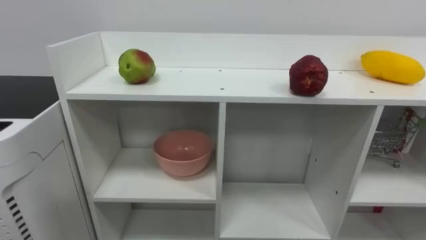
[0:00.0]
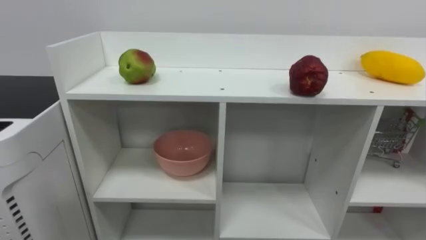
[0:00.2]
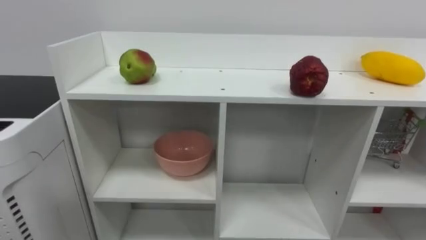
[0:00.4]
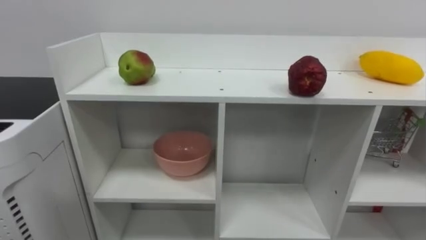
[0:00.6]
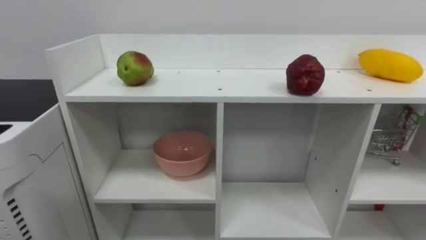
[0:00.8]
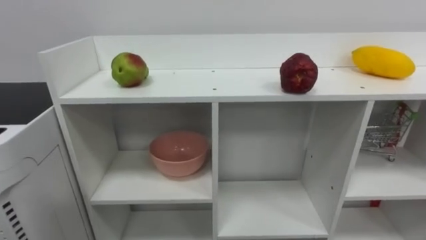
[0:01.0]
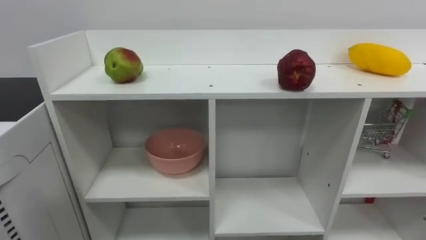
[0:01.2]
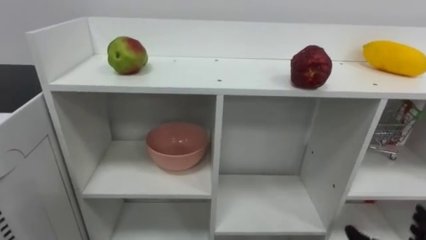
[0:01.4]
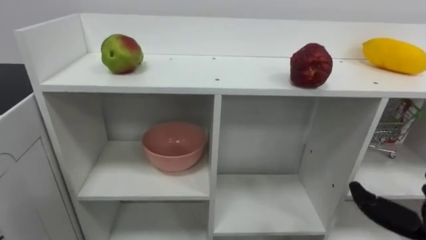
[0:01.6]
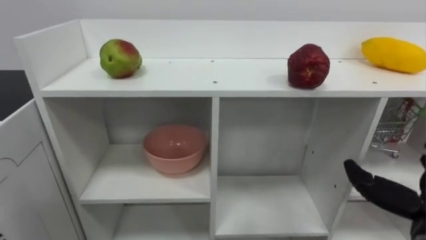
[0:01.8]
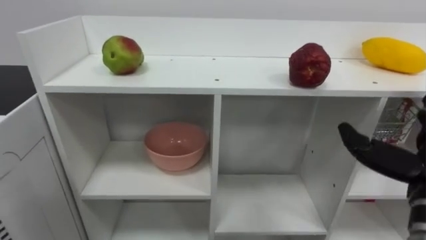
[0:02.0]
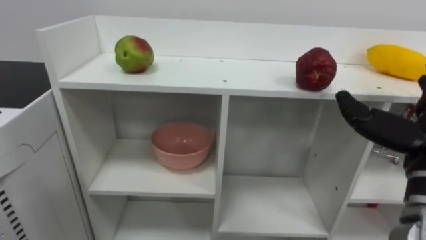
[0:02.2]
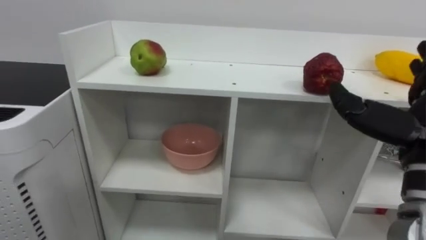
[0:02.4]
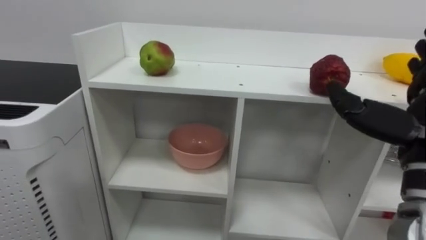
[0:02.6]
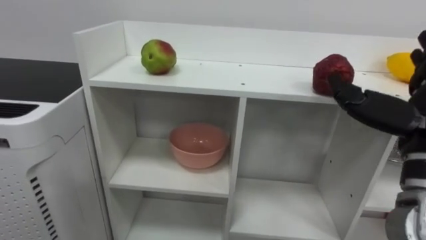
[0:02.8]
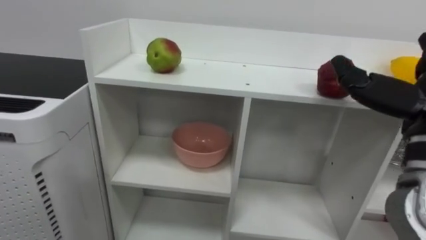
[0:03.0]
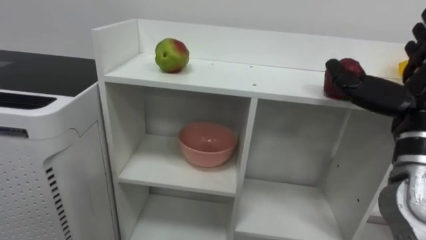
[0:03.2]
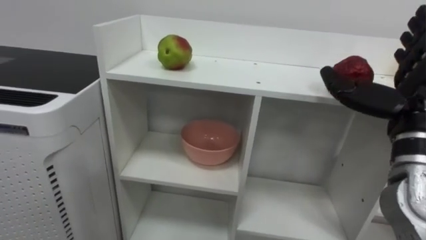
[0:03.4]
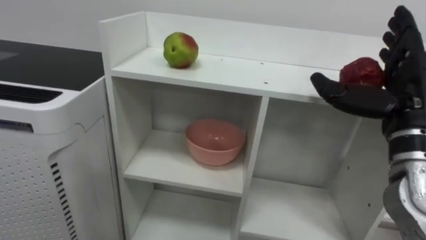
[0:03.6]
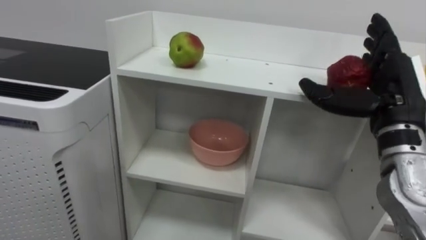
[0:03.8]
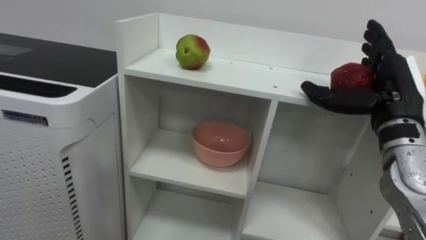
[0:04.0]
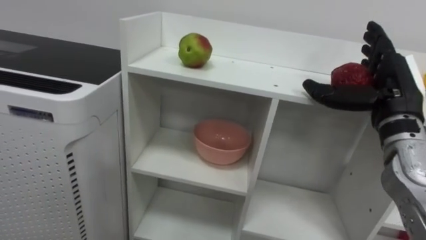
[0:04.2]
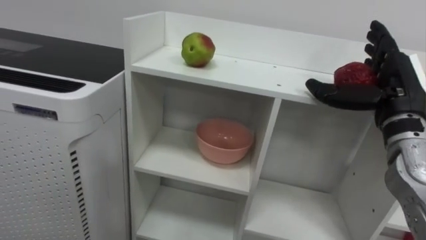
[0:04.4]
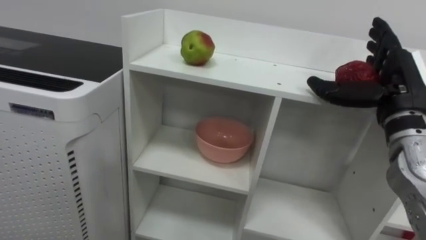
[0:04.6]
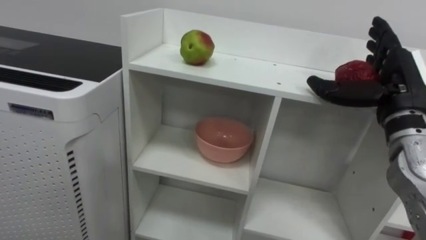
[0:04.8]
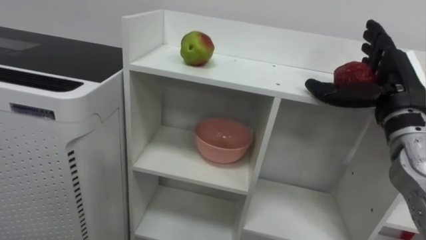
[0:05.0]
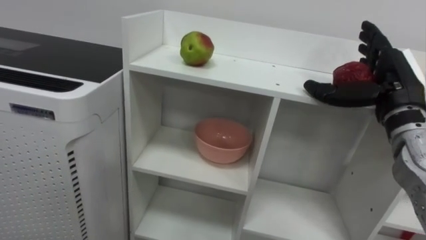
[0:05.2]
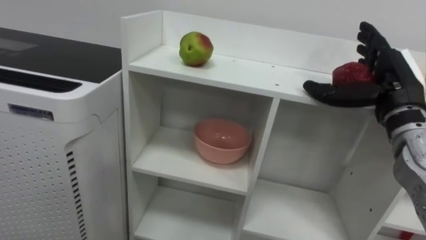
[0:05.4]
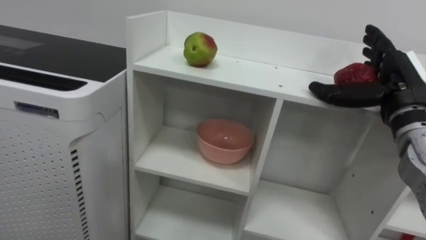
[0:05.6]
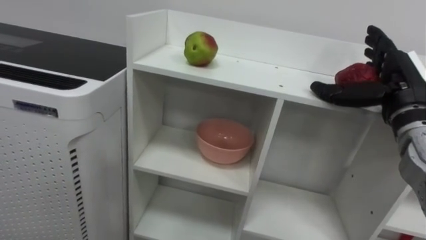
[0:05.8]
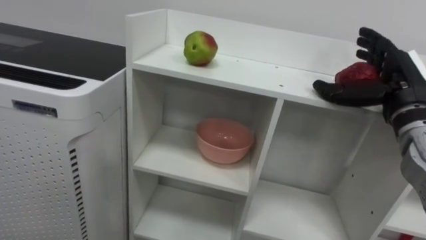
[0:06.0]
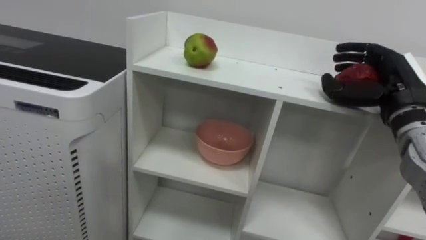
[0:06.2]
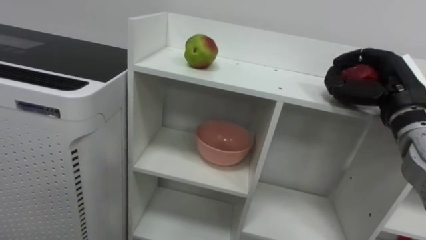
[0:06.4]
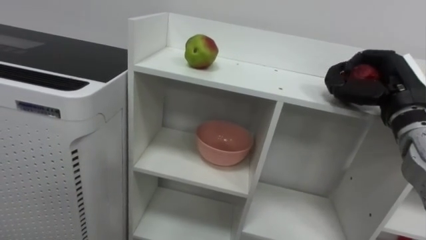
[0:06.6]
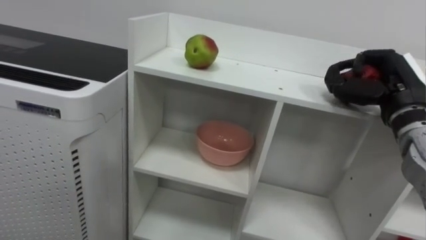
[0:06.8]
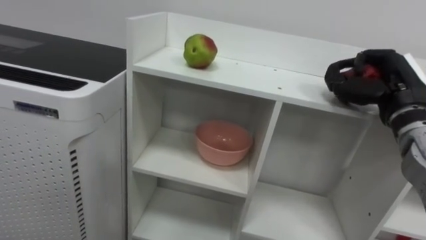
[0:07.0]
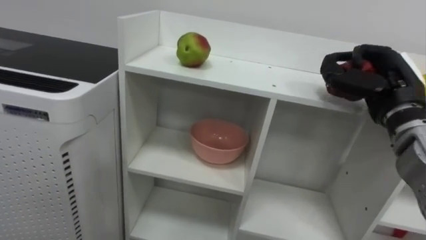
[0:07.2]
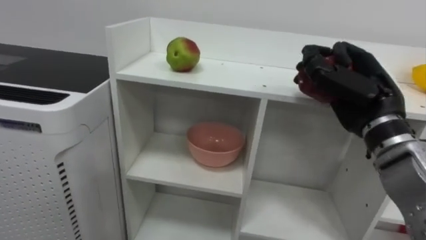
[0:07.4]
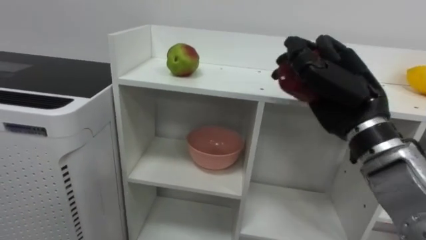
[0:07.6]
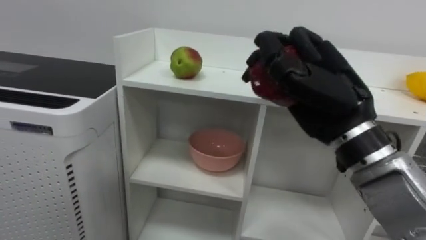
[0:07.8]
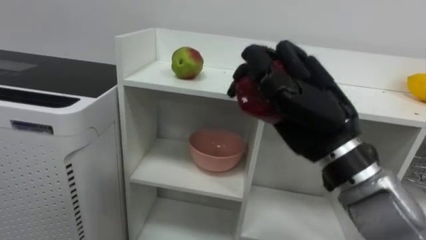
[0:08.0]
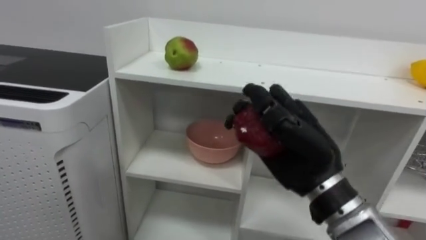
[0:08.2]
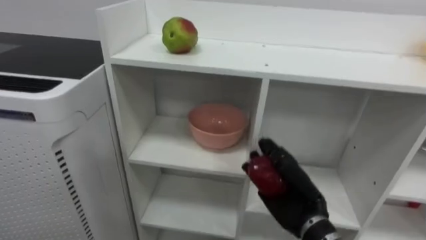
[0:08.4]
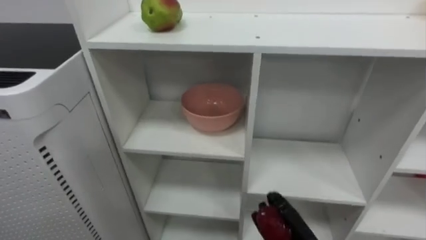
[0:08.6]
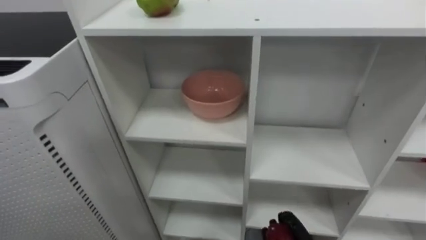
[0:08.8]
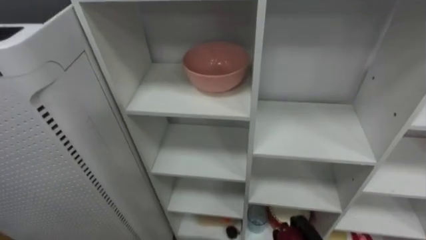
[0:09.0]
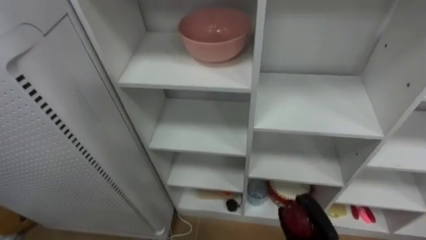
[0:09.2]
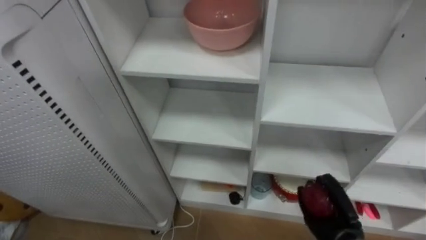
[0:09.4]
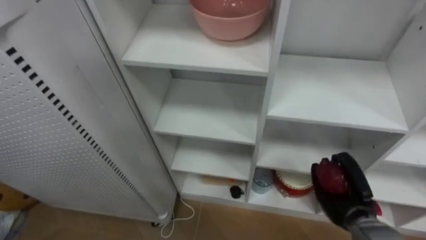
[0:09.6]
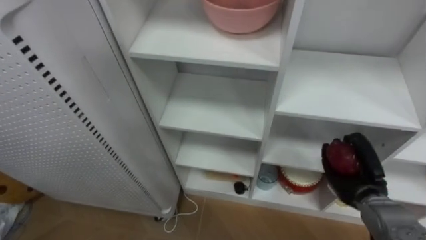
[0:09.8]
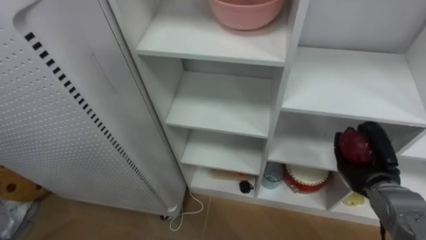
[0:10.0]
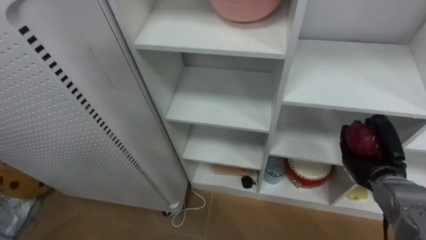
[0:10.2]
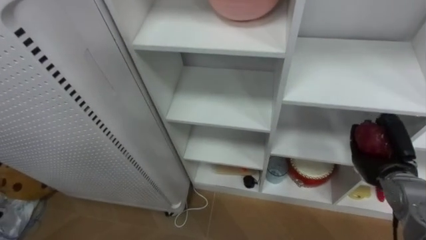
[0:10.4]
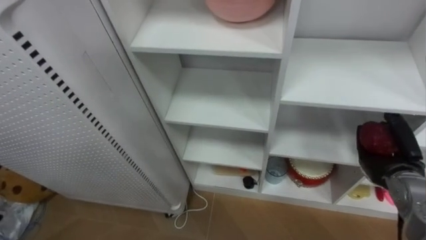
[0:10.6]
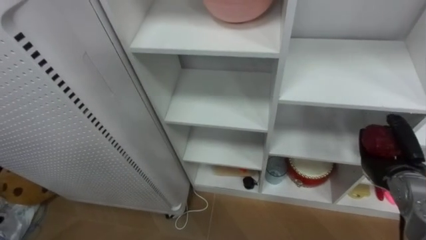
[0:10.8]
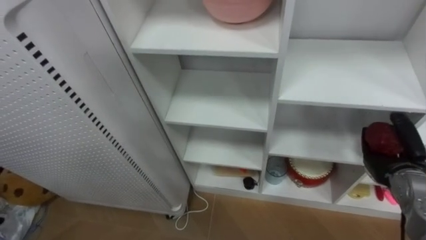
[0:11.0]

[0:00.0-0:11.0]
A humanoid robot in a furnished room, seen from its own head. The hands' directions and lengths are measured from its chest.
Task of the whole recording: Put the apple in the cell in the second column from the left and the second row from the top.
0:03.2 to 0:04.8: The right hand travels forward by approximately 5 cm.
0:04.8 to 0:06.2: The right hand closes its fingers.
0:06.2 to 0:07.8: The right hand is displaced to the left and backward by roughly 15 cm, and closes its fingers.
0:09.4 to 0:11.0: The right hand moves upward and to the right, some 15 cm.

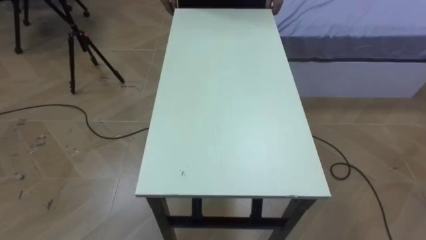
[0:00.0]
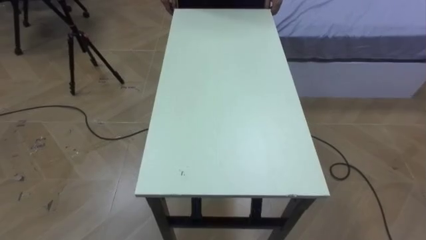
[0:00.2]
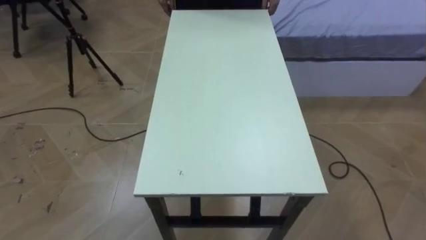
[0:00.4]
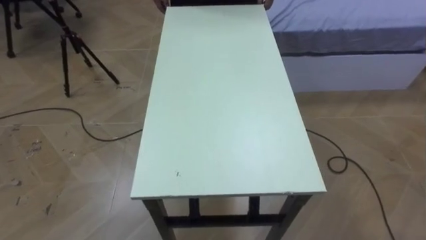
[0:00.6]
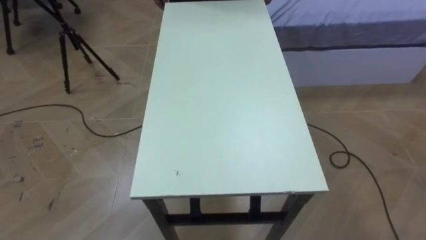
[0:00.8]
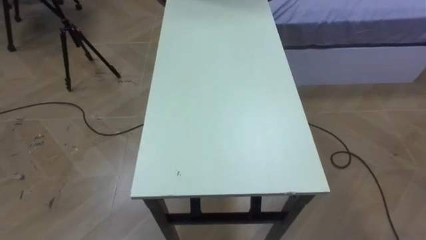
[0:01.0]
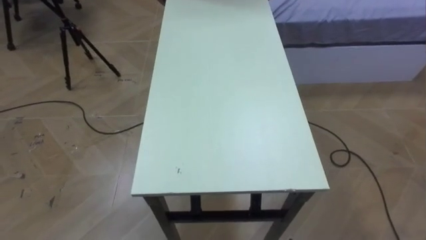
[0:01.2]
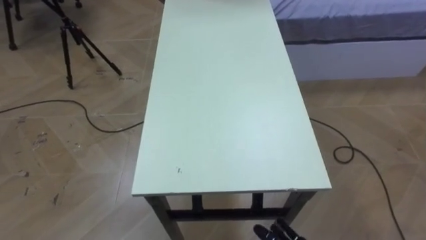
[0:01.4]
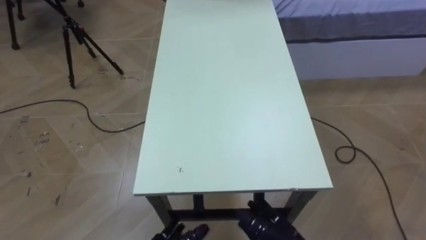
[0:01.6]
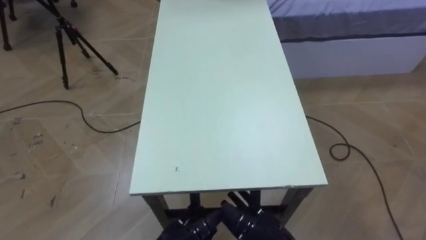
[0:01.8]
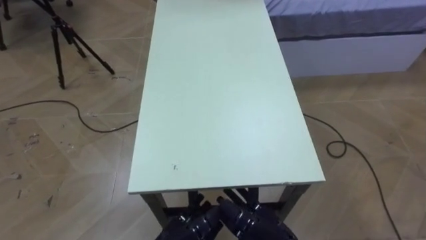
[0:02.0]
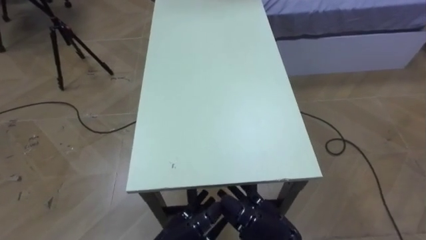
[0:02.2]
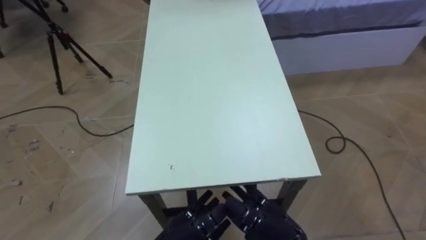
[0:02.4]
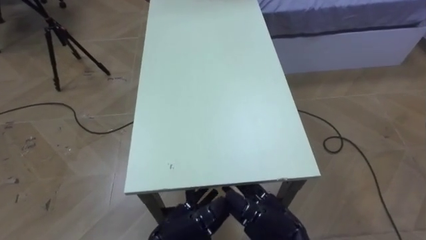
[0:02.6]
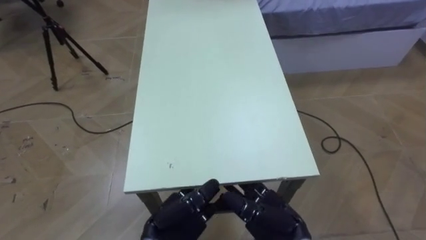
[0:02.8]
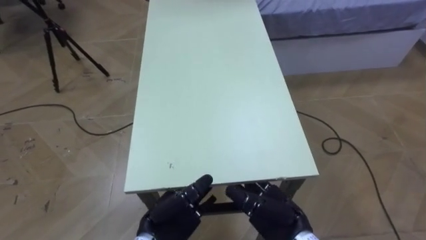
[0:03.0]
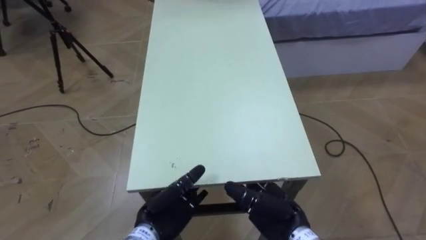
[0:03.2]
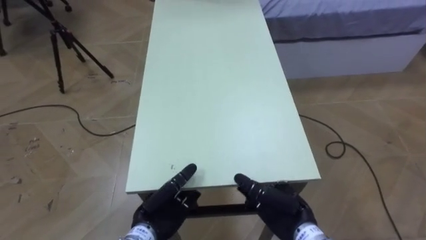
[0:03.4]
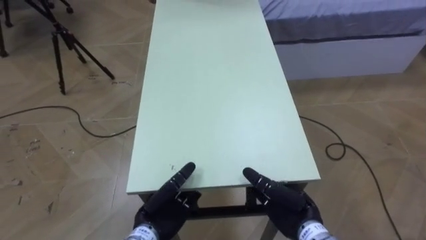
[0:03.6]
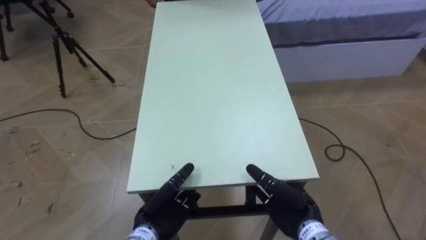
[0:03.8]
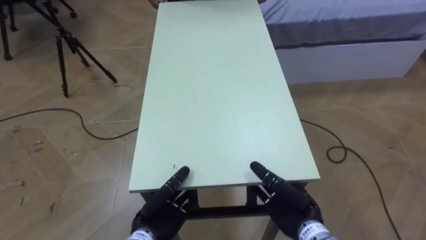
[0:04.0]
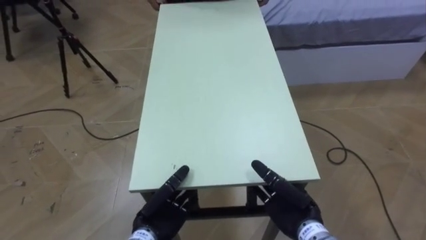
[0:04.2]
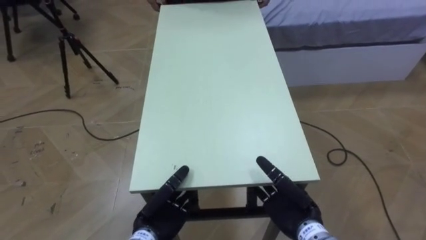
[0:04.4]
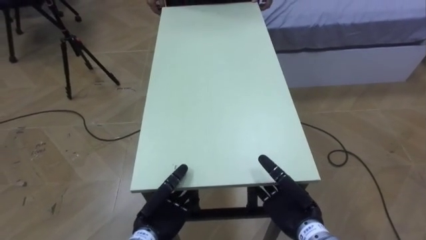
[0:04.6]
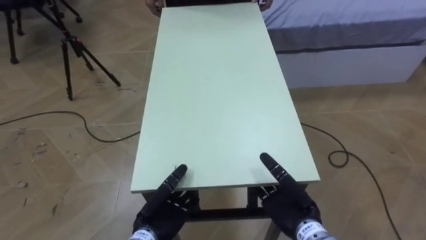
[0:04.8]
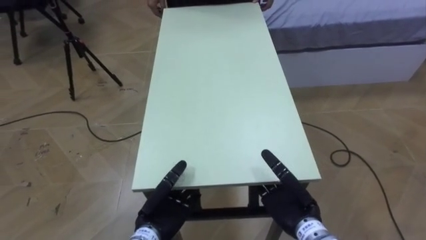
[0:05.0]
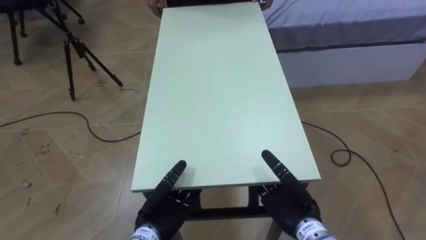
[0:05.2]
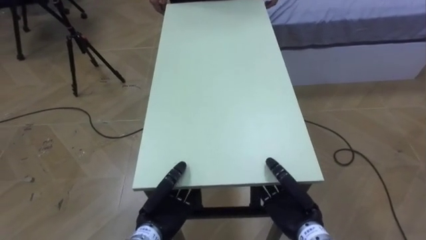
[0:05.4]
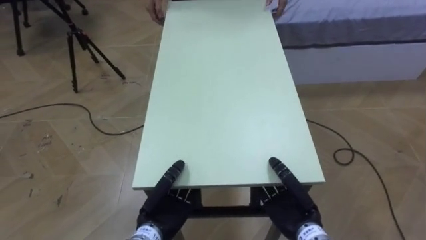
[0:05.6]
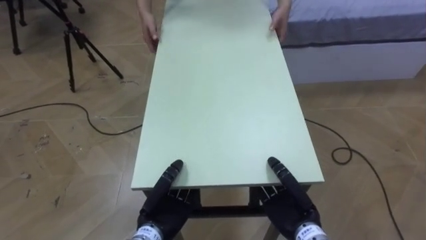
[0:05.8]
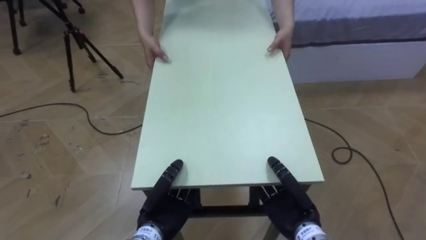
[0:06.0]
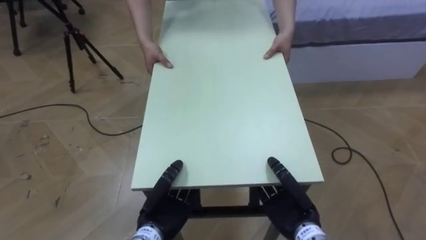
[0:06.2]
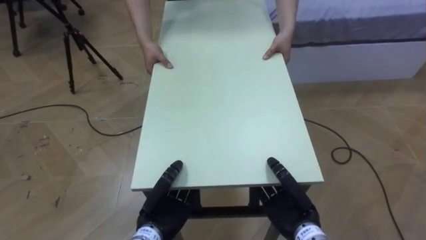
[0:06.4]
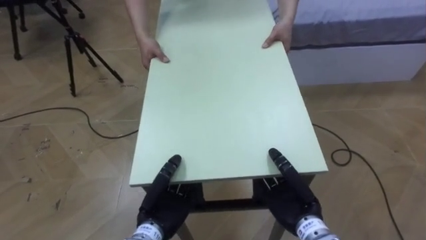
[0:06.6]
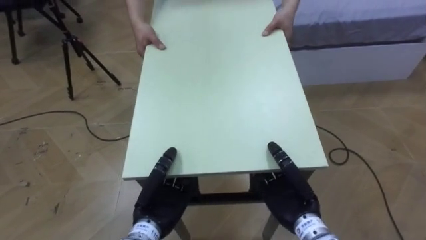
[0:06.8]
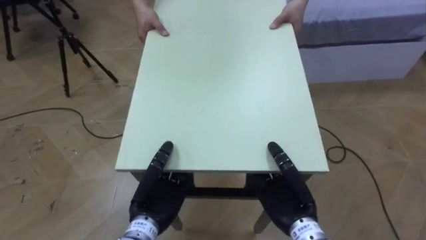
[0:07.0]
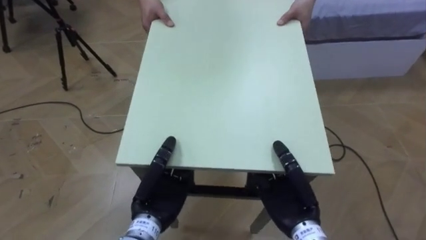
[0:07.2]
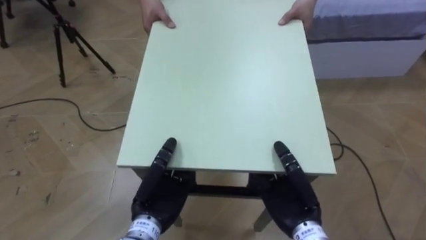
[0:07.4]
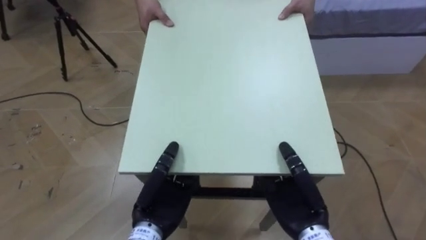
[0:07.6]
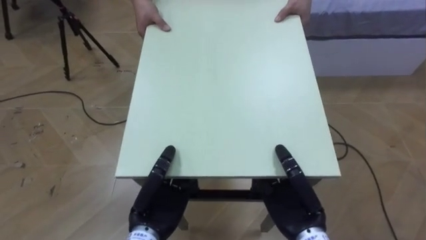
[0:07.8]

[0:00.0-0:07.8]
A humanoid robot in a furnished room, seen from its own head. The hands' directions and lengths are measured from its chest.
Task of the whole recording: Move the table to the back left with someone.
0:04.6 to 0:06.2: The right hand closes; the left hand closes up.
0:06.2 to 0:07.8: The two hands go about 5 cm upward.
